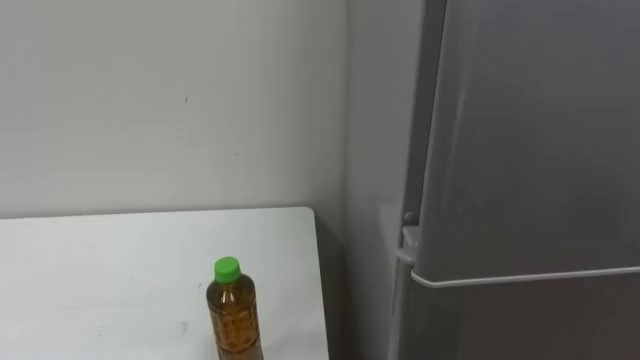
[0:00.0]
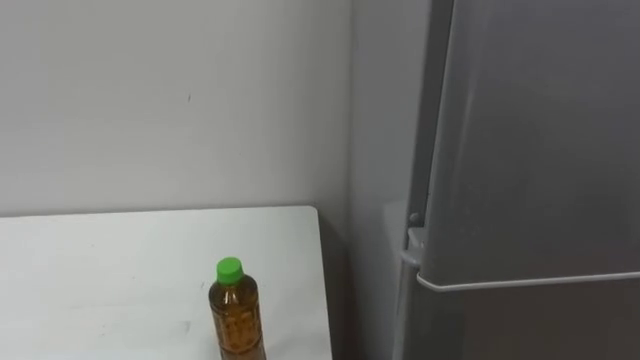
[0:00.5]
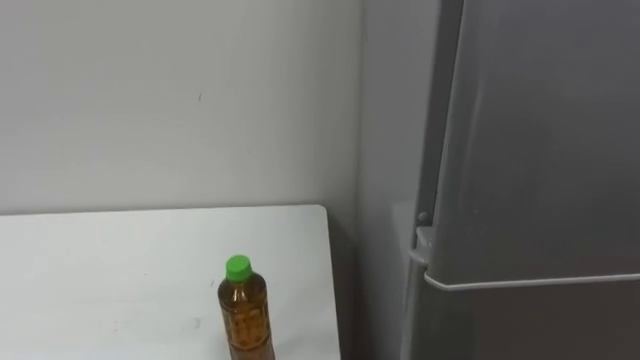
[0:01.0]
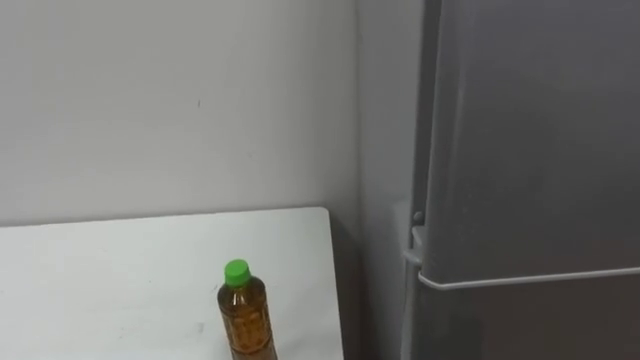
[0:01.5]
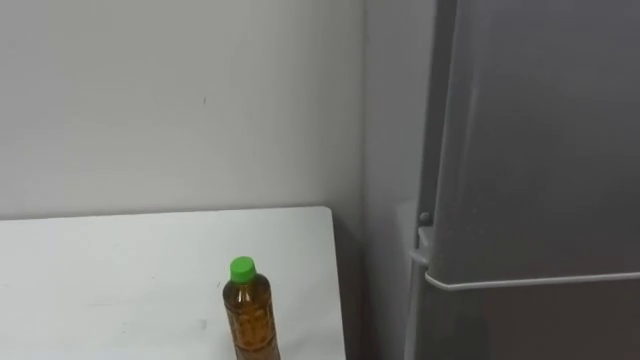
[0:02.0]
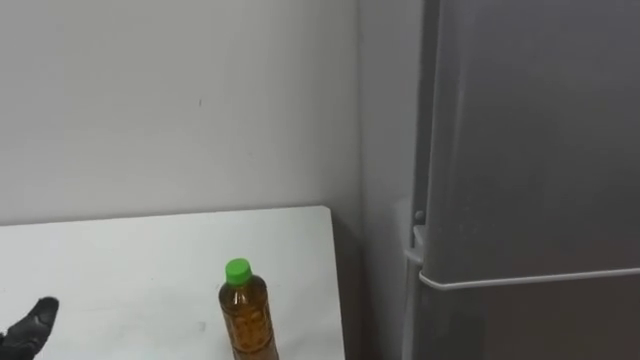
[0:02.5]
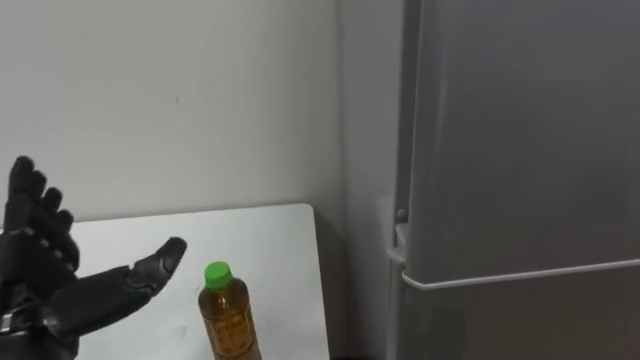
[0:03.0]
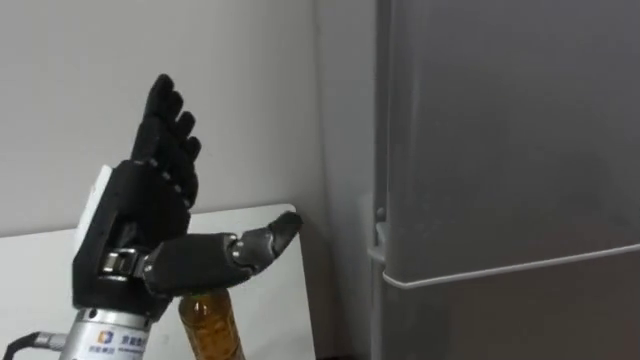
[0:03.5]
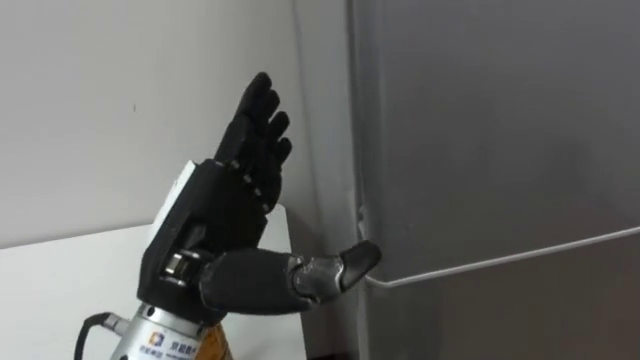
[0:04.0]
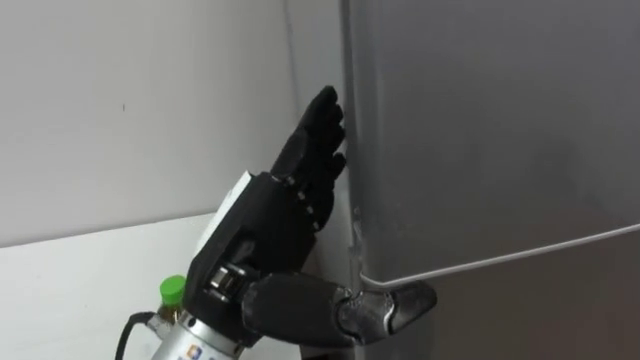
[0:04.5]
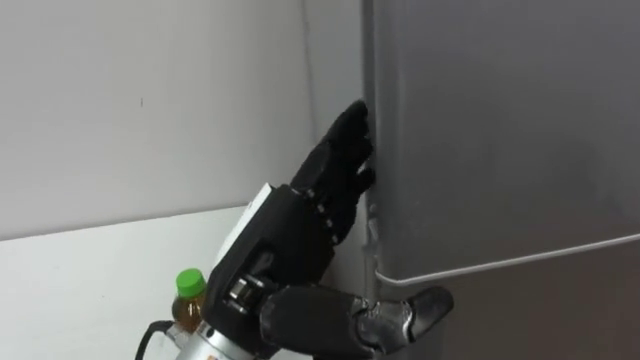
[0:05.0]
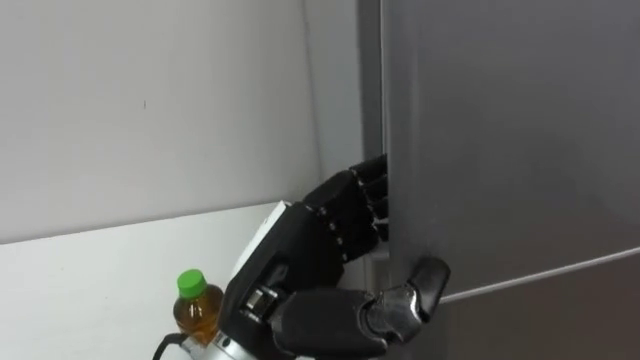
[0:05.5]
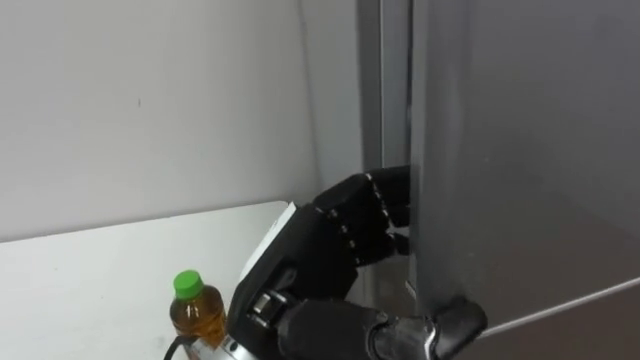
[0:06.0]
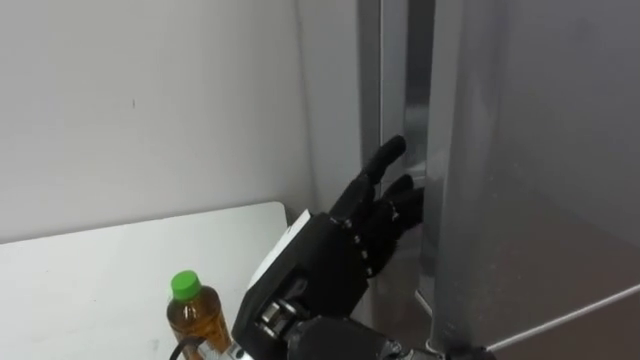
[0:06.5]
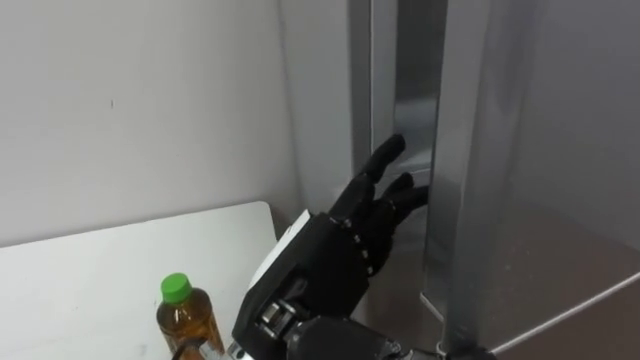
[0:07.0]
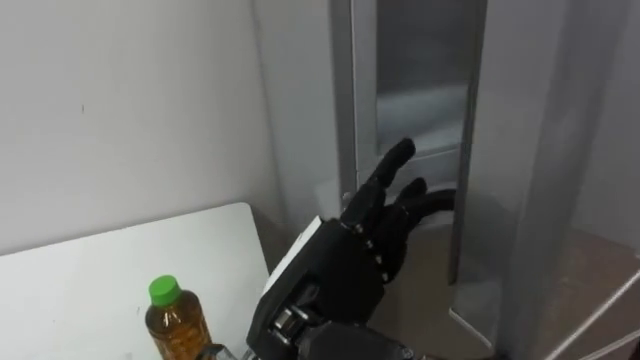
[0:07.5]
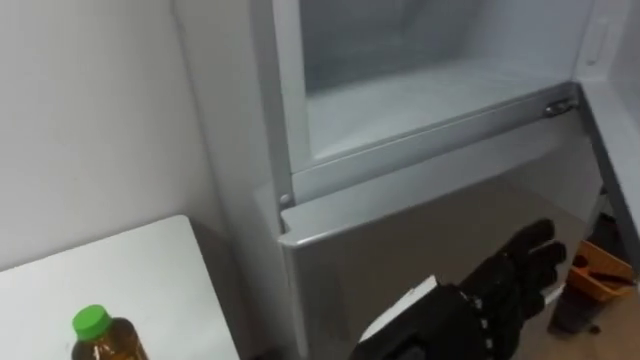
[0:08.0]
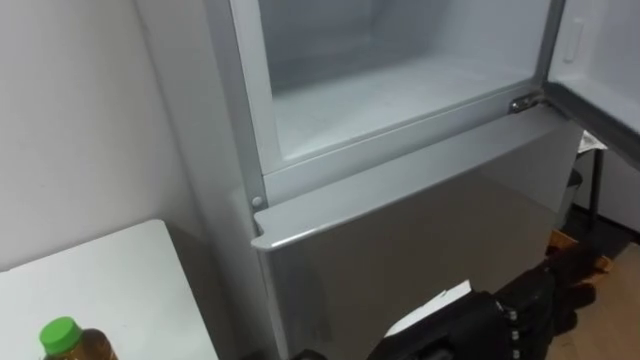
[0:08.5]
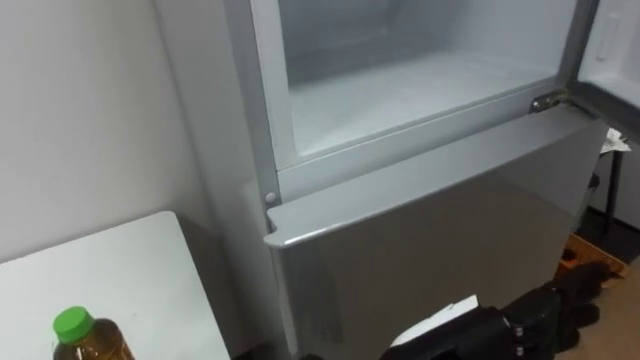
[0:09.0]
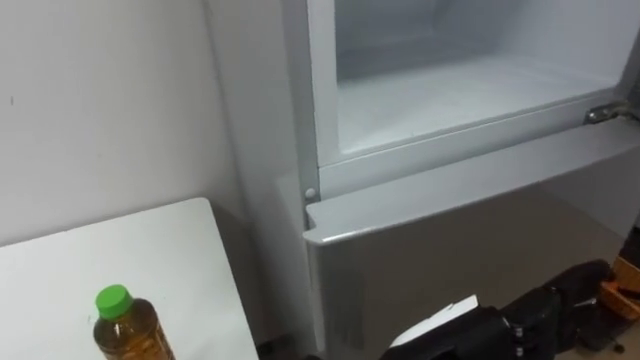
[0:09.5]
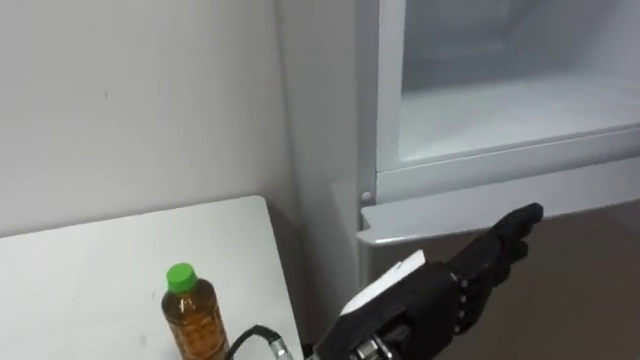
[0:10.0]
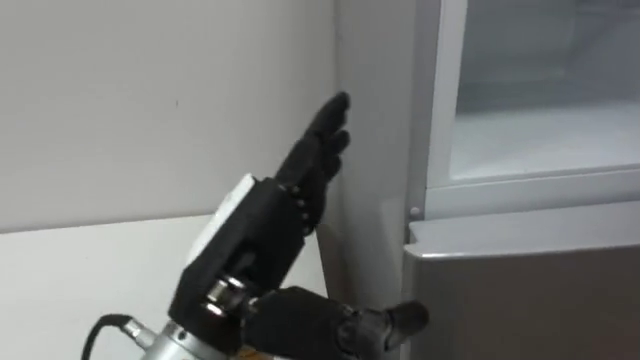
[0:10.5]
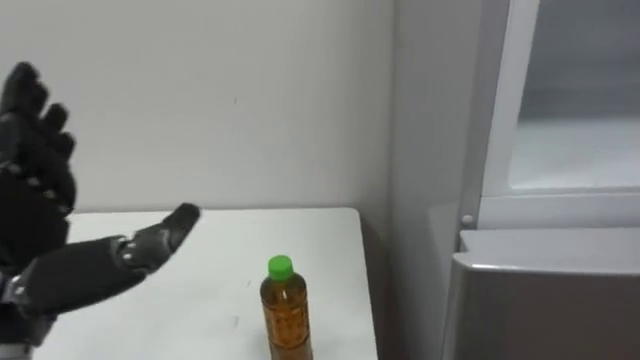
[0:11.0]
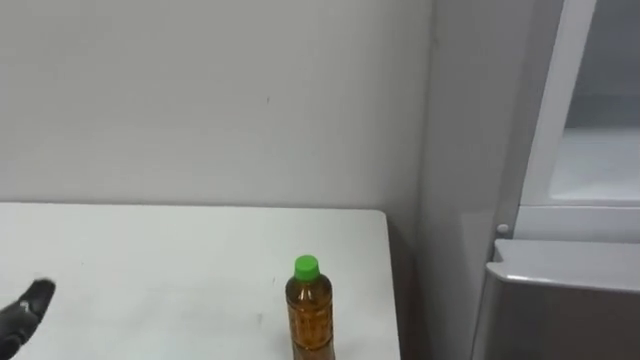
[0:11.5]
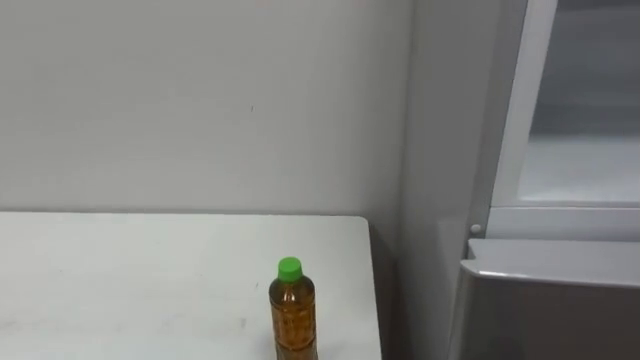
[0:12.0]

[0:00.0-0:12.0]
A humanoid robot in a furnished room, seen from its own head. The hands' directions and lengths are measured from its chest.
Task of the whole recording: Open the upper refrigerator door, put the drink from the table into the refrigerator, and then close the refrigerator door.
0:04.0 to 0:06.0: The left hand travels to the right by some 5 cm, and closes its fingers.
0:06.0 to 0:08.0: The left hand shifts some 10 cm to the right, and opens.

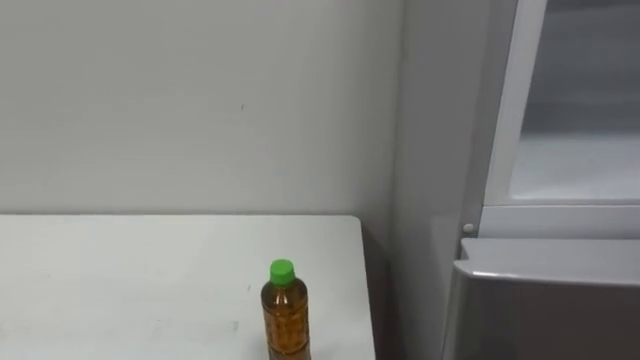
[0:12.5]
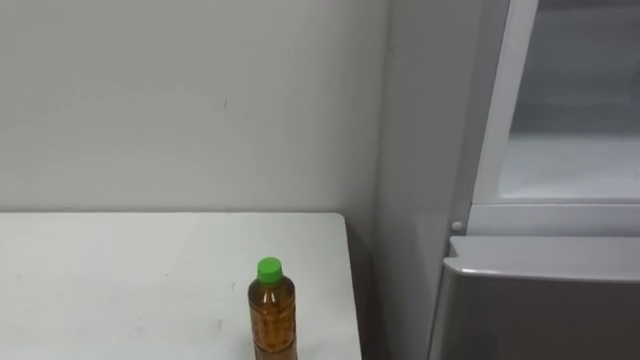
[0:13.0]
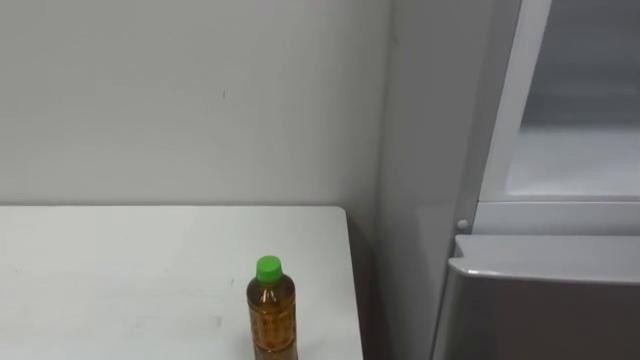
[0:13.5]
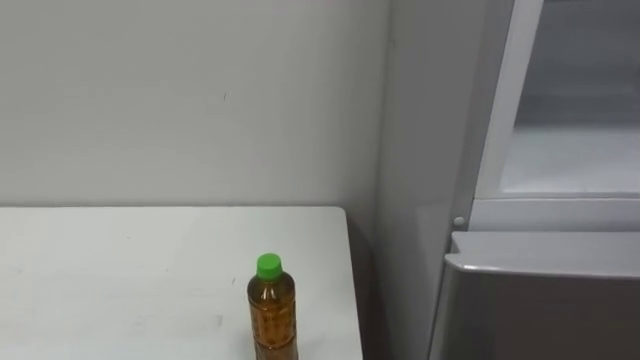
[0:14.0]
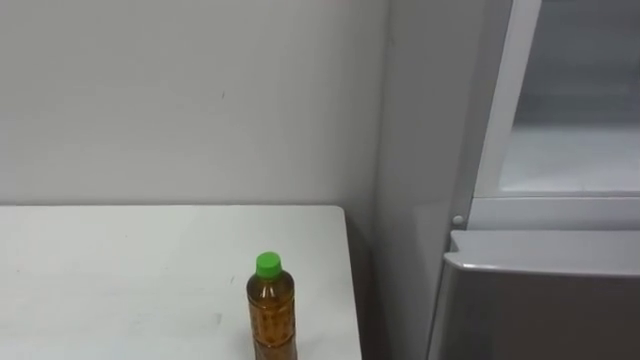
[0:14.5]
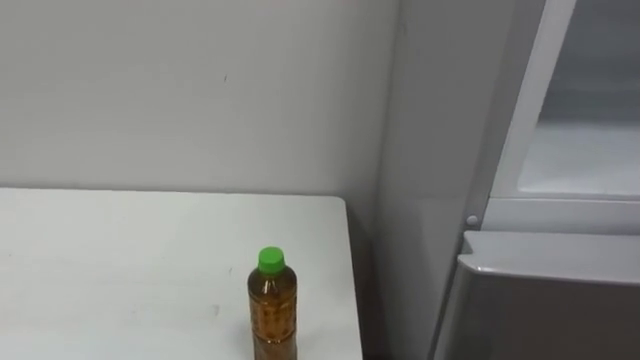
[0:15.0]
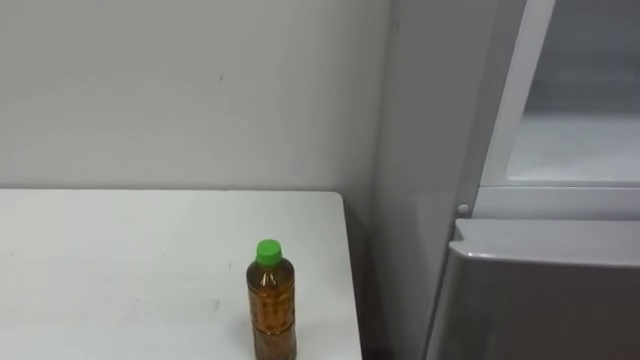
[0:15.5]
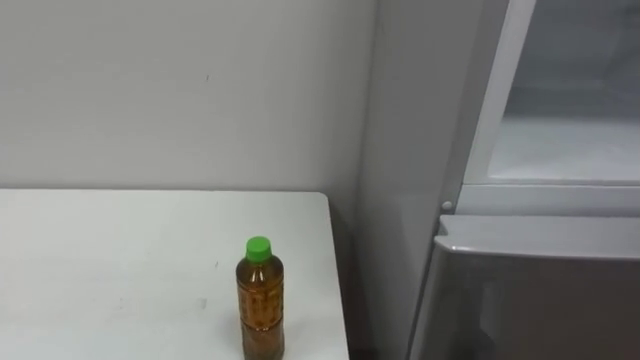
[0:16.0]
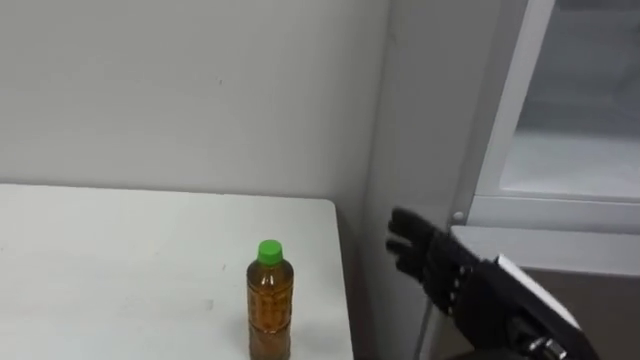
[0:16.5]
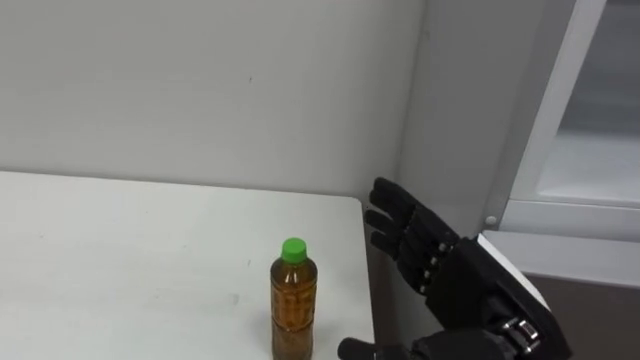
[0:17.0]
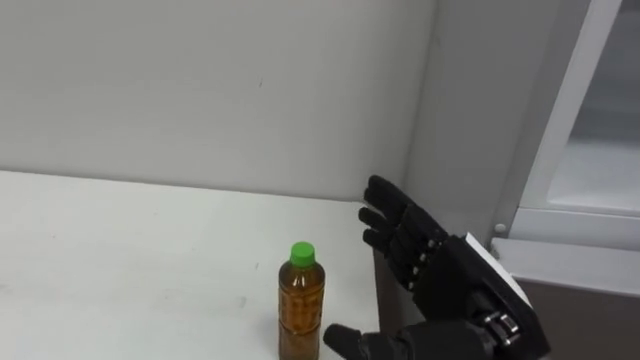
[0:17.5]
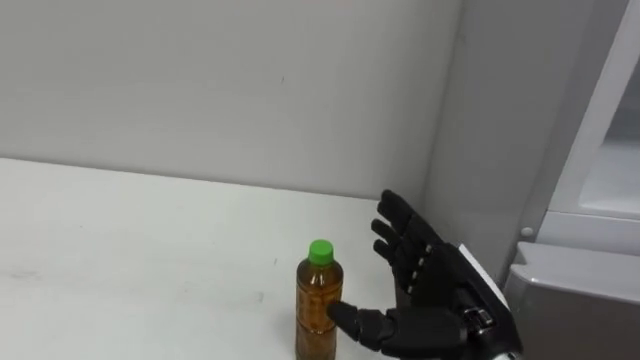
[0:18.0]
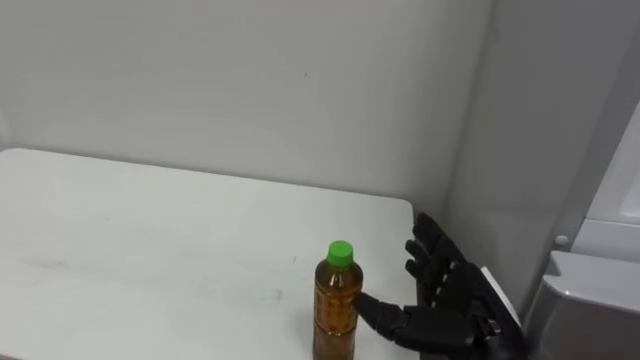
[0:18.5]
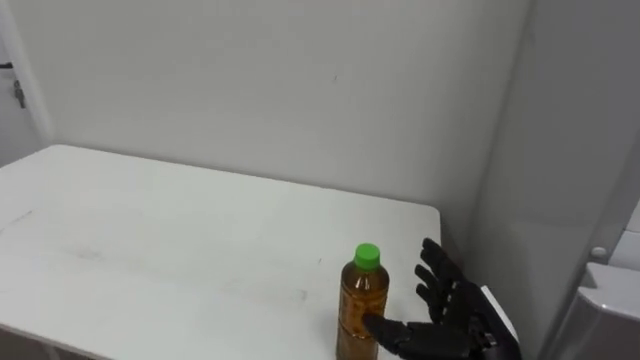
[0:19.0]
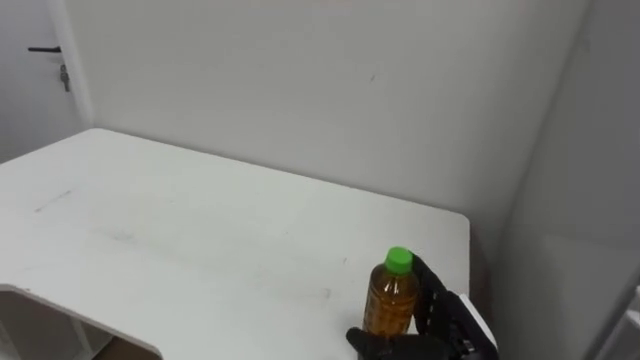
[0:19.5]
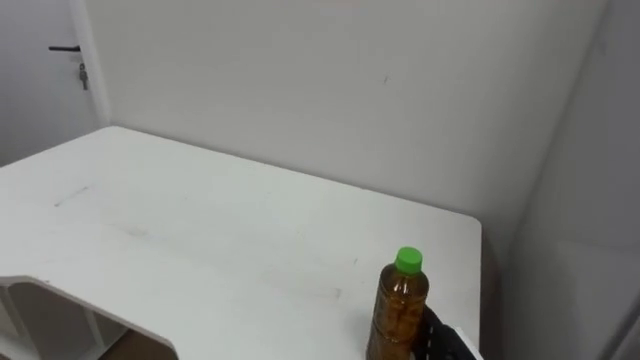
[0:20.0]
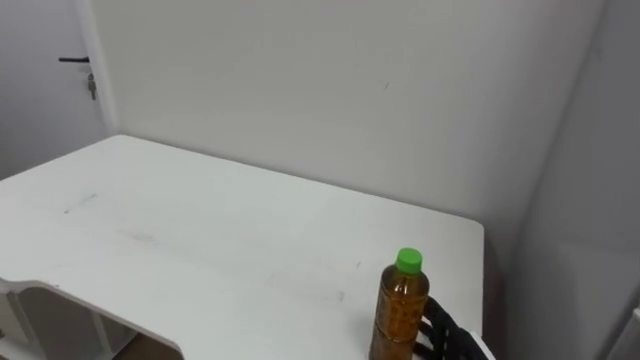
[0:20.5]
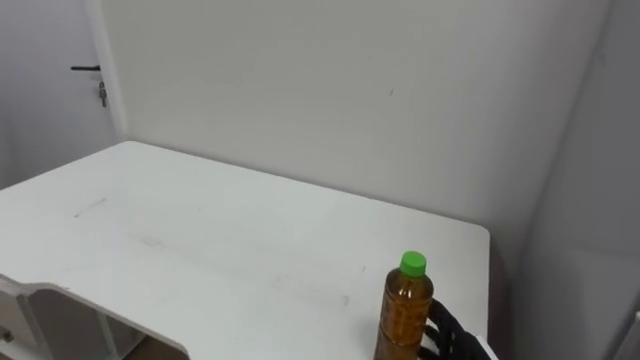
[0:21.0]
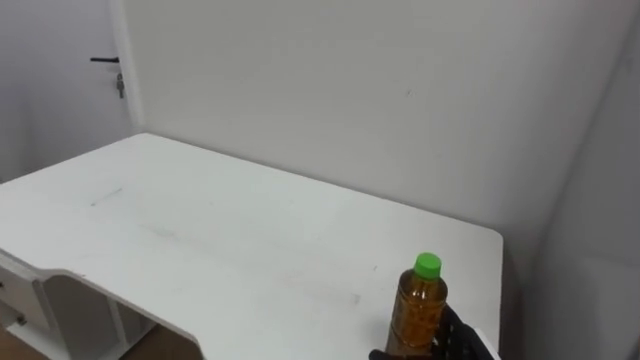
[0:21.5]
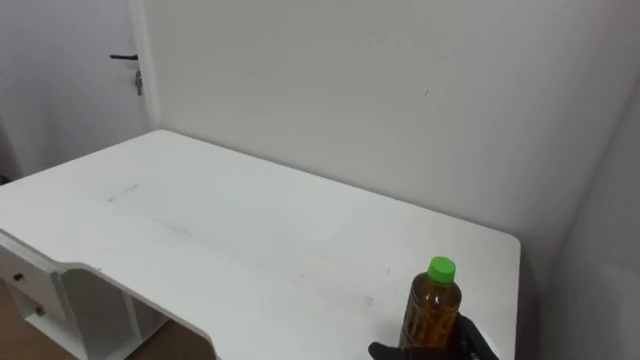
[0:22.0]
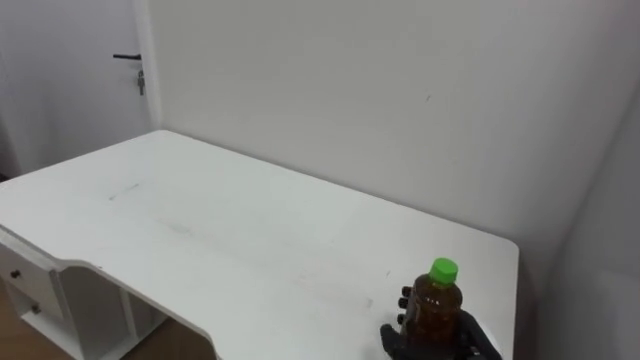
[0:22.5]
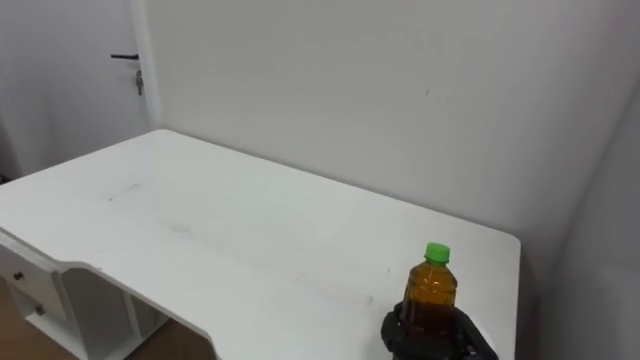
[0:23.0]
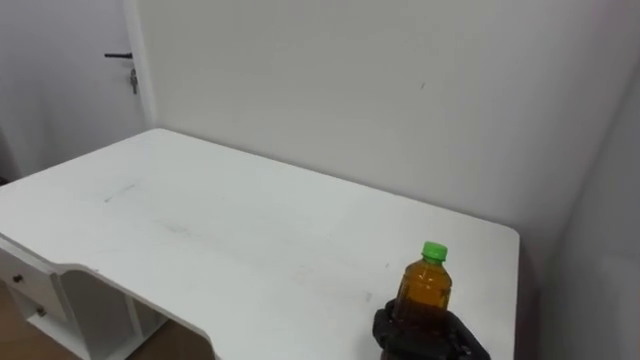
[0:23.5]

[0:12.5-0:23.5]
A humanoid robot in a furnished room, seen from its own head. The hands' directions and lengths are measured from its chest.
Task of the whole recording: Open the upper refrigerator door, put the drink from the table into the refrigerator, and then close the refrigerator door.
0:18.0 to 0:20.0: The right hand moves downward, about 15 cm.
0:21.5 to 0:23.5: The right hand closes.
